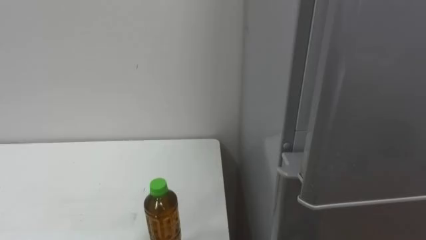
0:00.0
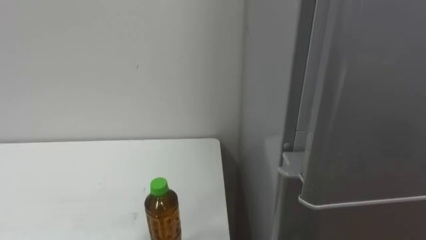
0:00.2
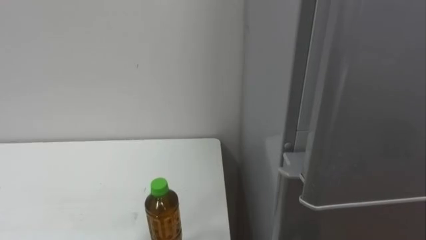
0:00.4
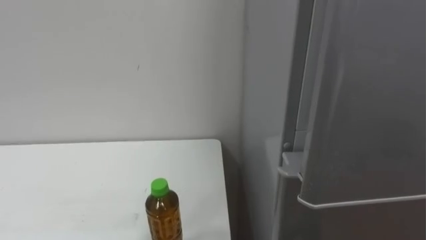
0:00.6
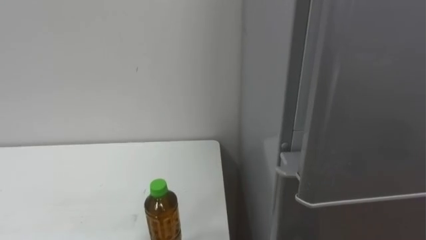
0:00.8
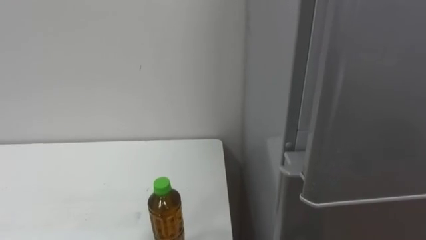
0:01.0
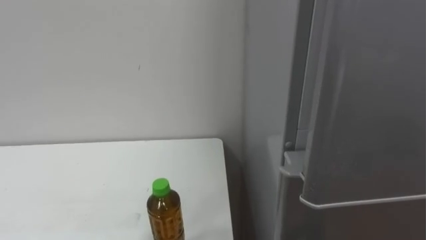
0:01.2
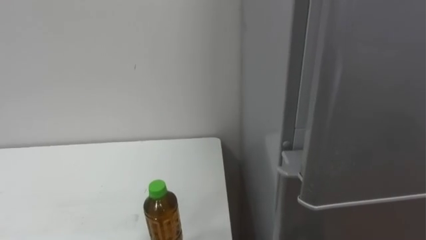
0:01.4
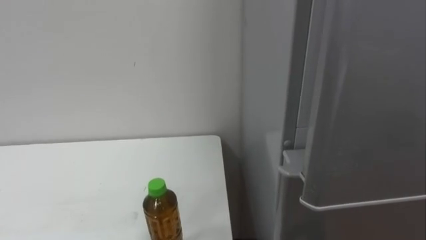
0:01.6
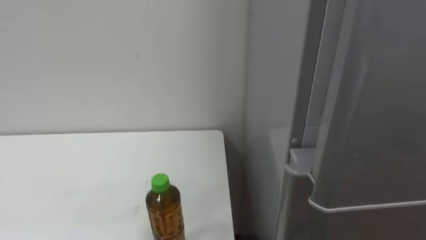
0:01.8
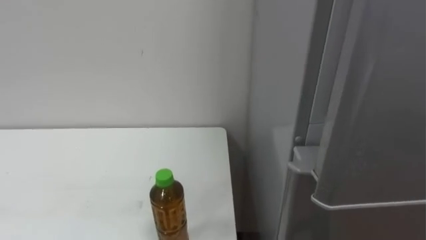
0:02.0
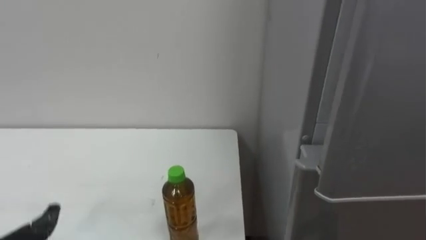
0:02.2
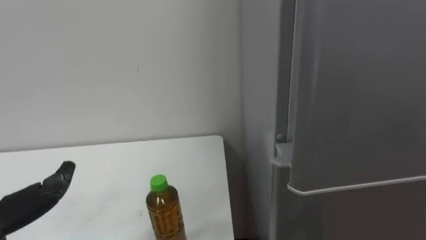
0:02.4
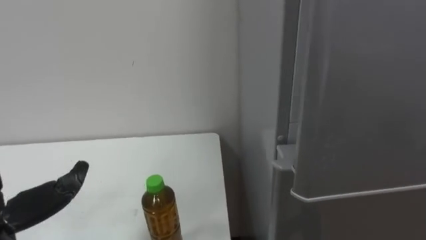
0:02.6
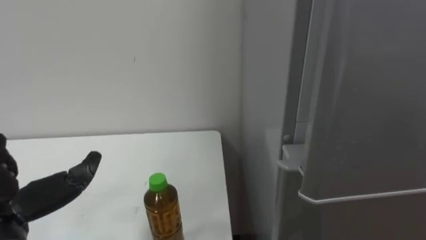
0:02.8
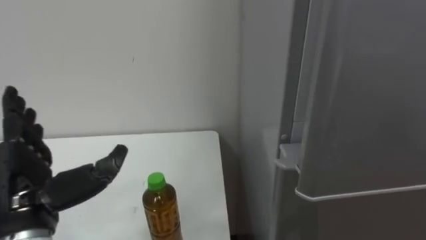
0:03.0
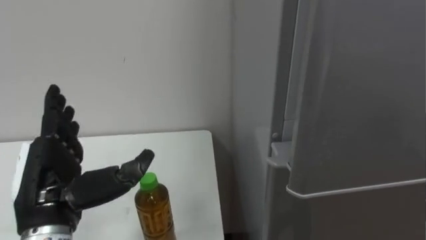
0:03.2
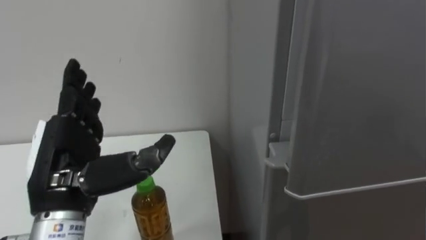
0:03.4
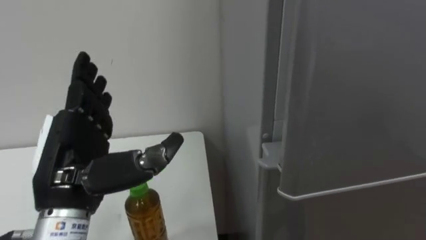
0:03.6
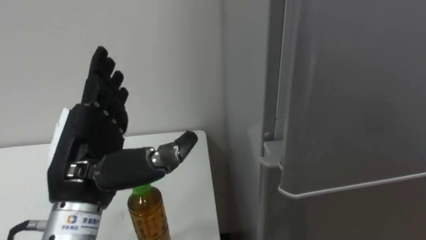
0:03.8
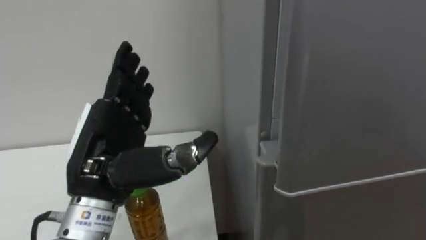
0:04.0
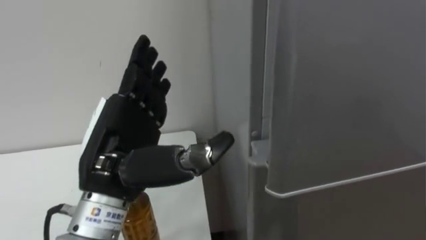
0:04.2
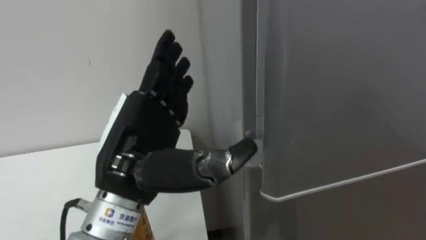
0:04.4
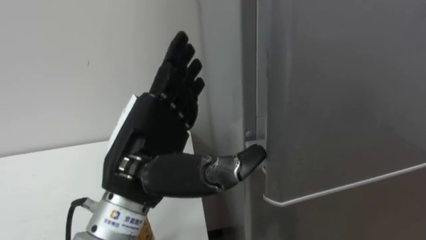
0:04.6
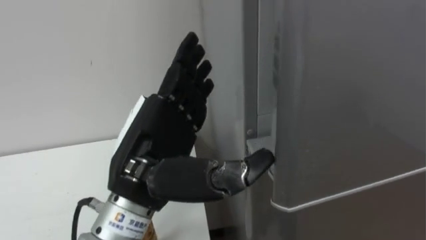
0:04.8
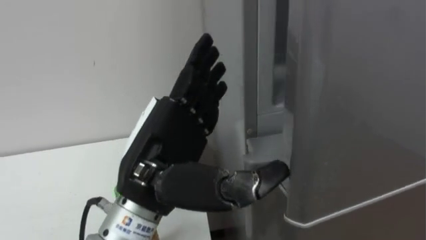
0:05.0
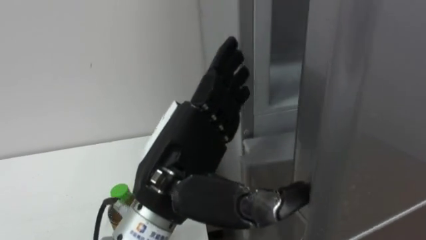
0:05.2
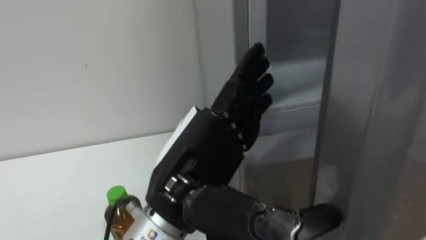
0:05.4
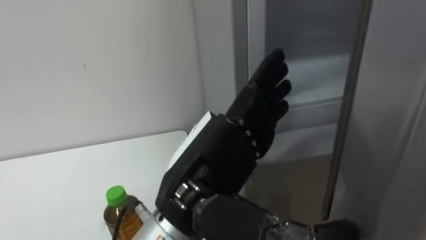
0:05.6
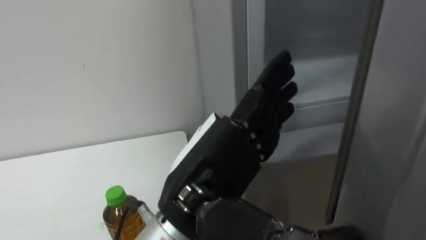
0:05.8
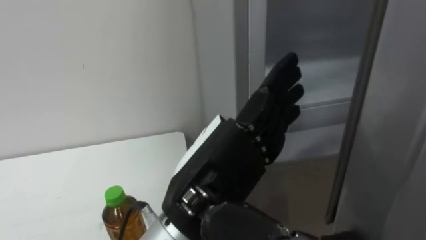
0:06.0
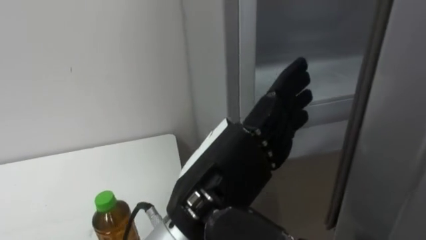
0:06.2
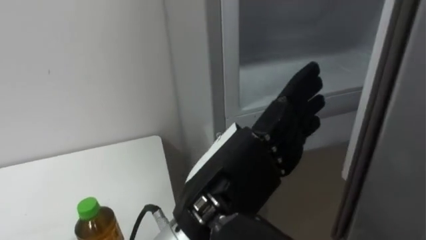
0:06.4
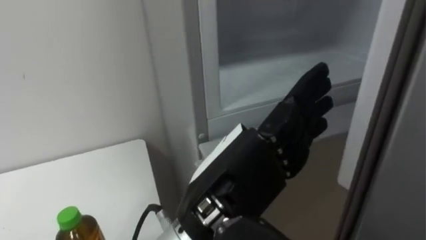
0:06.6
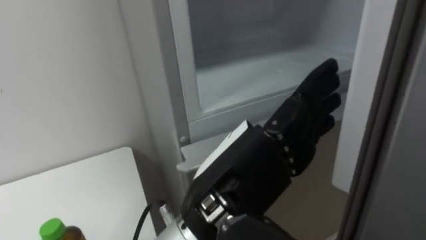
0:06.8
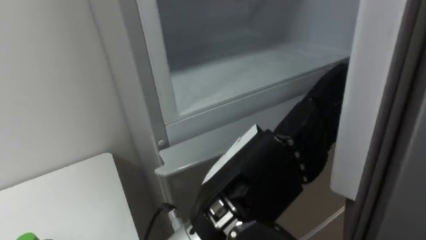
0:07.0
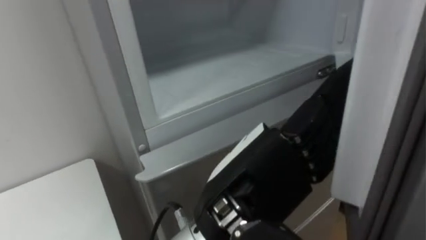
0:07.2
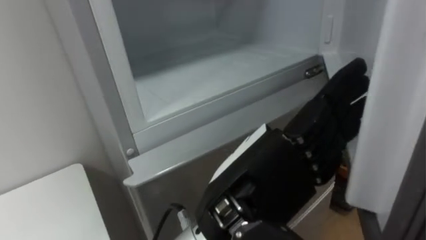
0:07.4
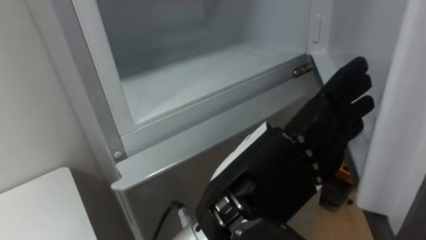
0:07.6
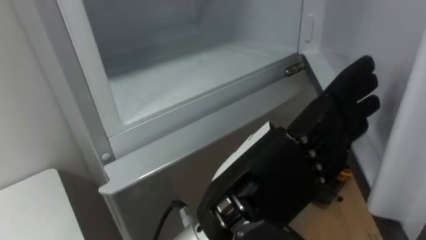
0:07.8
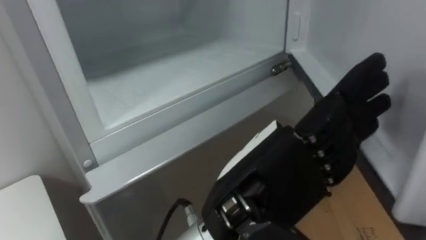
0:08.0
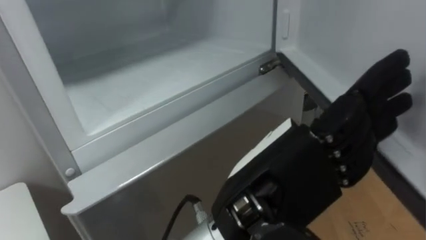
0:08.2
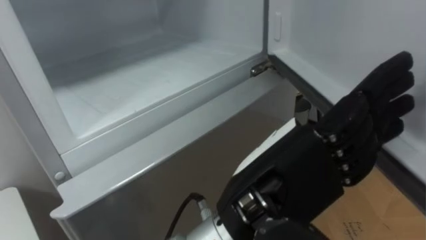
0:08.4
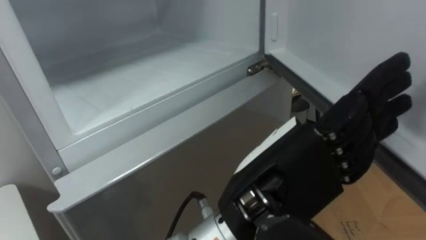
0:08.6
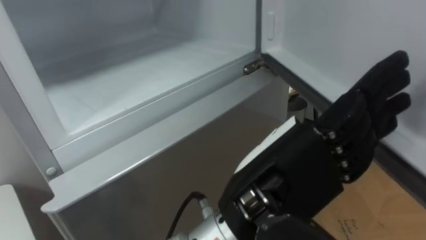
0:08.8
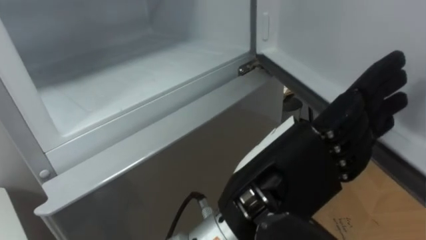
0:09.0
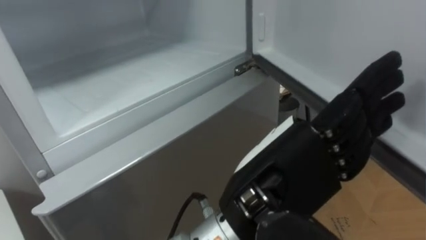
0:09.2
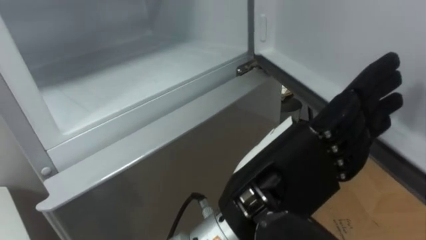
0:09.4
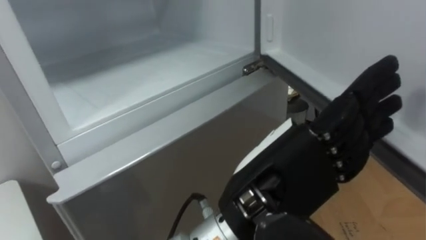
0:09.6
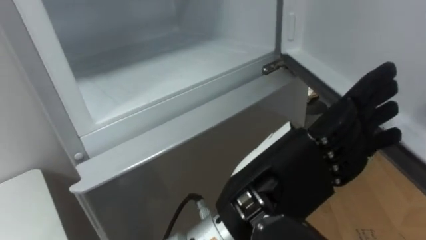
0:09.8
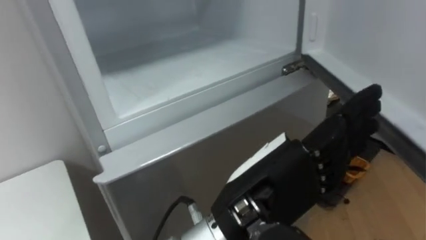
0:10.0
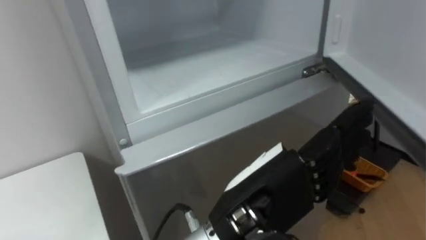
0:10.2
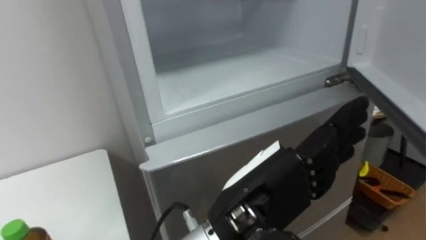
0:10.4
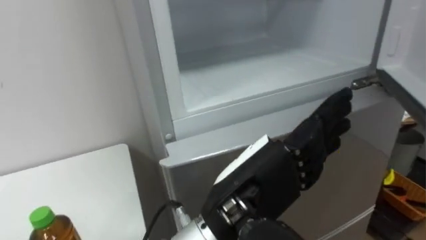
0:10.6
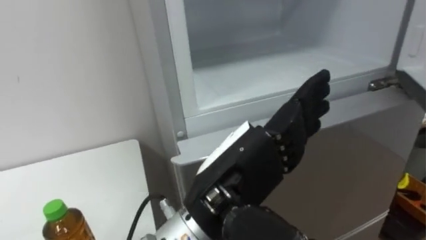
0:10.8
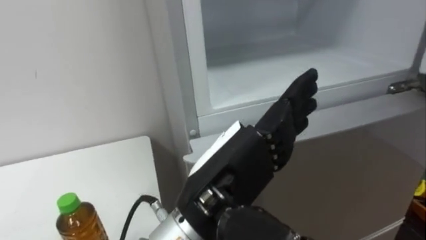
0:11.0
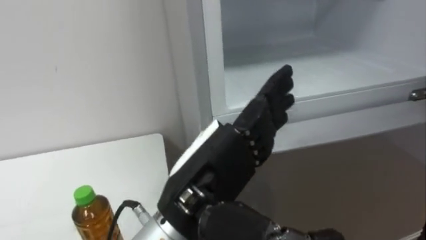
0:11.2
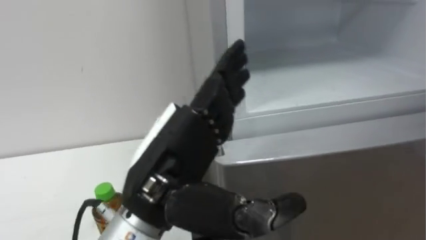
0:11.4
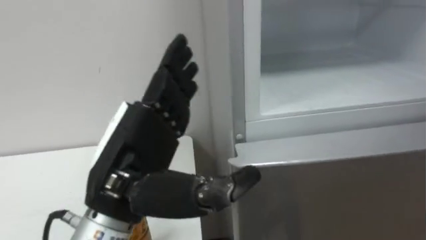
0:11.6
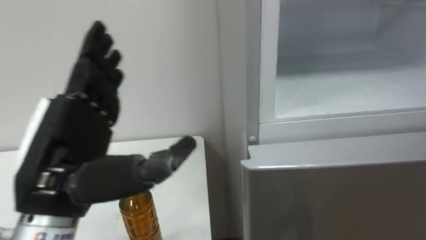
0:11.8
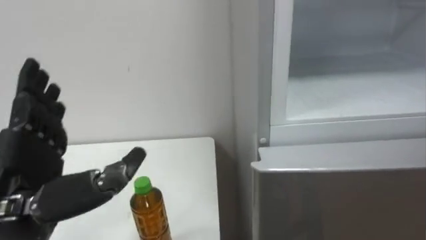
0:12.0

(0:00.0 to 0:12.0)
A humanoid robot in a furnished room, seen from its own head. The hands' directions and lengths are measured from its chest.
Task of the whole recording: Open the upper refrigerator door, put the drink from the table into the refrigerator, and then close the refrigerator door.
0:03.0 - 0:04.4: The left hand goes roughly 15 cm to the right and upward.
0:04.4 - 0:06.0: The left hand heads to the right, covering some 10 cm.
0:06.0 - 0:07.6: The robot faces roughly 20 degrees further to its right.
0:10.4 - 0:12.0: The left hand is displaced to the left by some 25 cm.

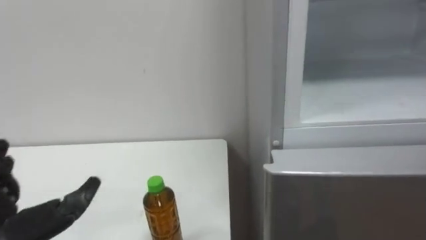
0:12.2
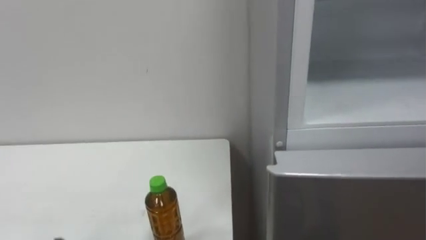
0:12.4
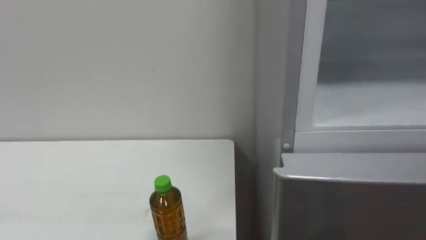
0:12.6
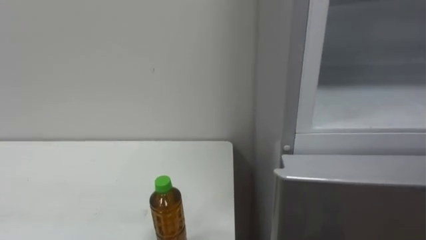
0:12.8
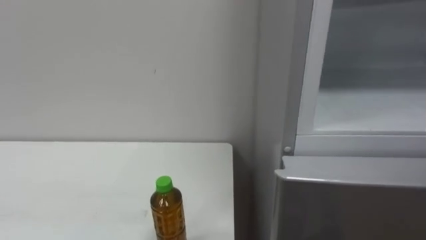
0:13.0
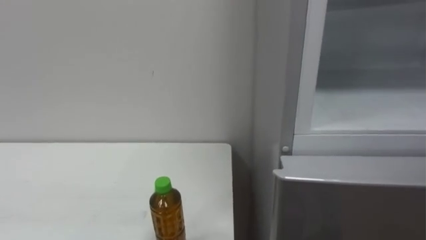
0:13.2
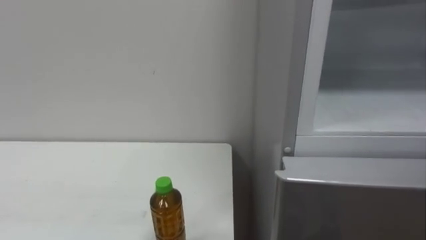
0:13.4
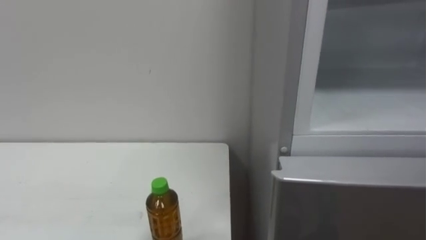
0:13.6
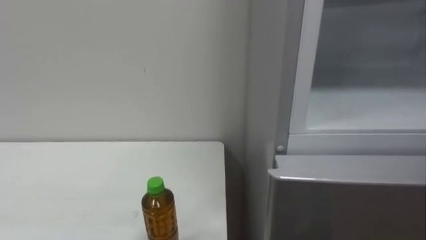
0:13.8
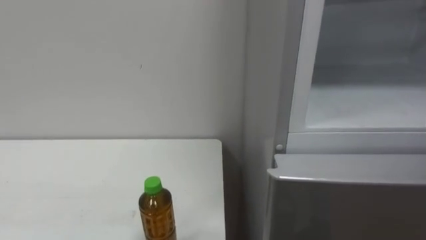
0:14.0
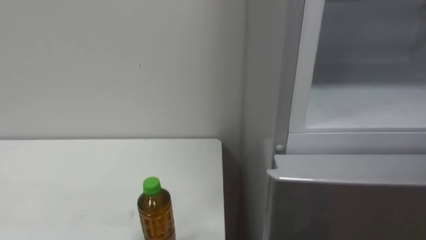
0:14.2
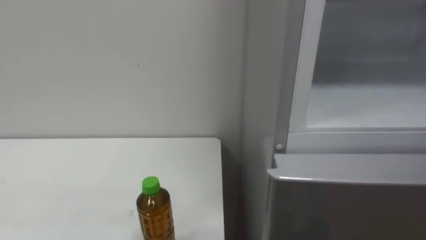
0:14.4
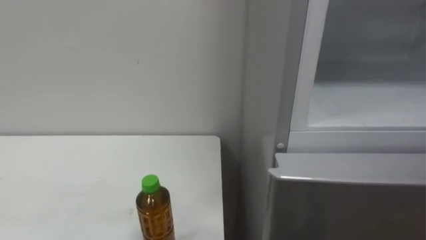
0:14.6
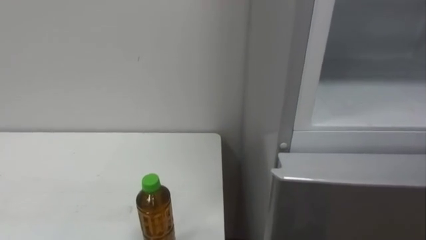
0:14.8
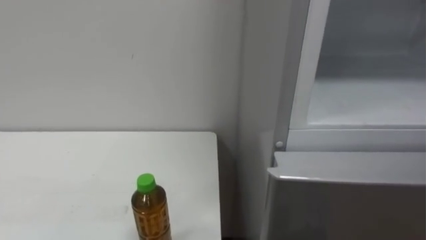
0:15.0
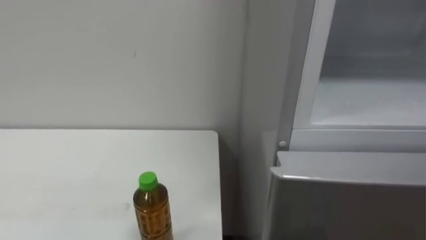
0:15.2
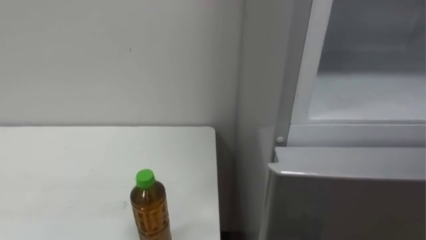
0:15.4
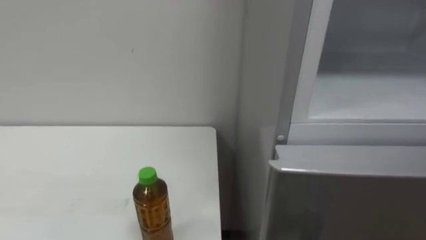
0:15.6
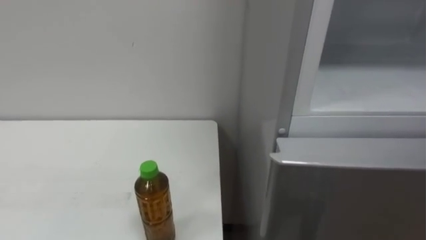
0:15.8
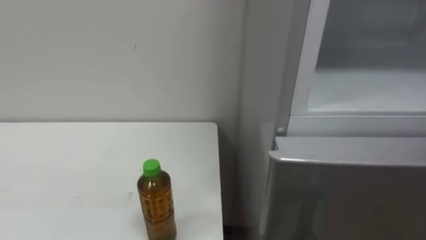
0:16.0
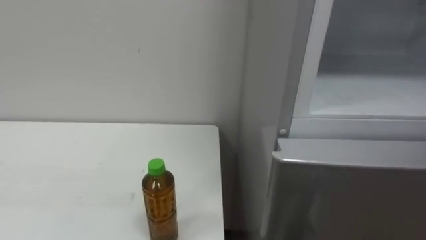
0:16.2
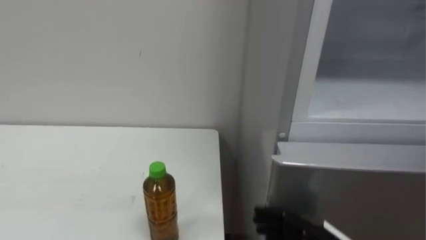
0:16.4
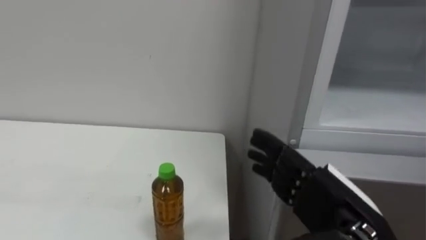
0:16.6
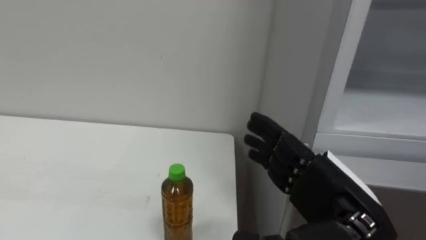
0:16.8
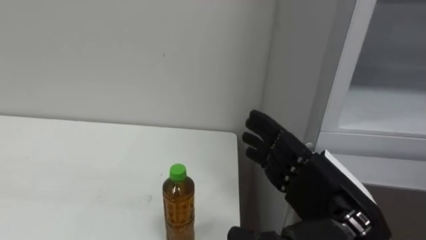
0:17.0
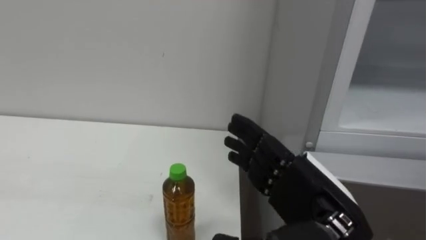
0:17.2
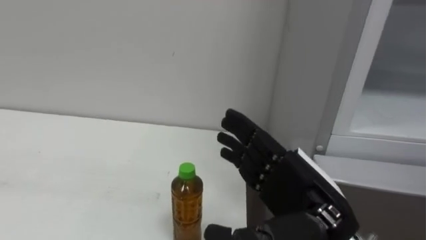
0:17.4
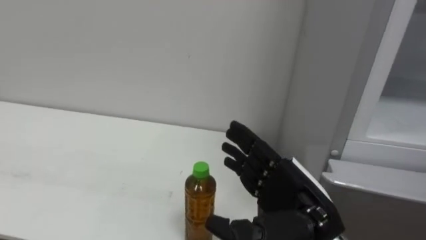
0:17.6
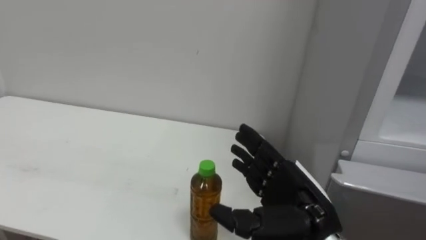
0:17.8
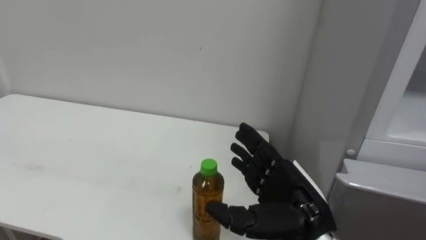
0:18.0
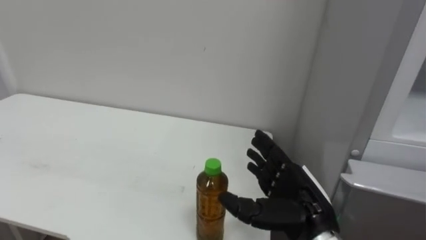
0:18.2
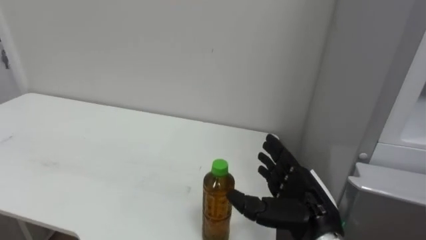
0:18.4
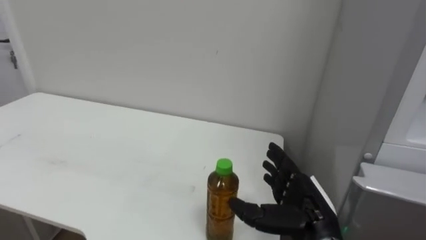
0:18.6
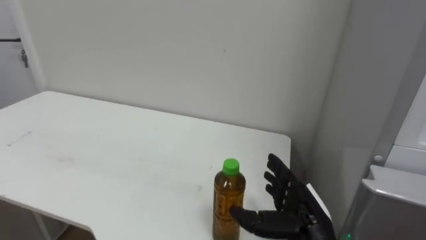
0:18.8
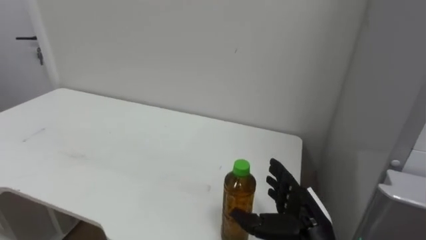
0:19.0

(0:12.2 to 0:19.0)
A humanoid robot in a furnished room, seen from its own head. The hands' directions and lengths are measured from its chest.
Task of the whole recording: Open the upper refrigerator door, put the drink from the table into the refrigerator, and then close the refrigerator door.
0:17.6 - 0:19.0: The right hand moves downward, some 10 cm.
